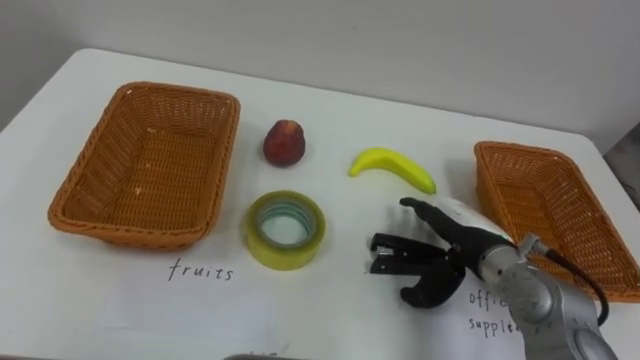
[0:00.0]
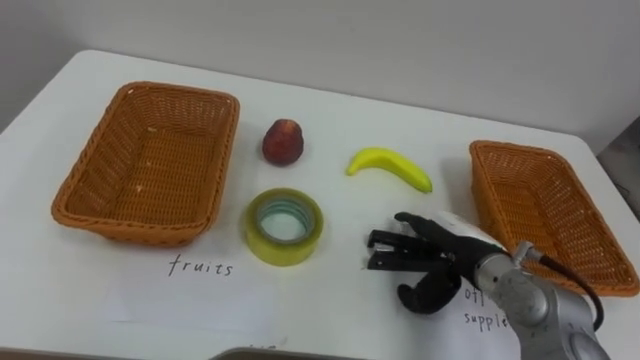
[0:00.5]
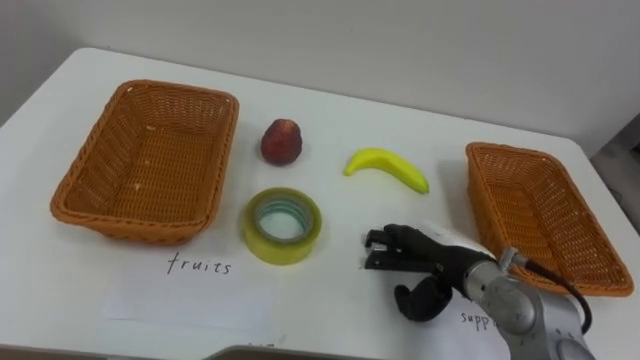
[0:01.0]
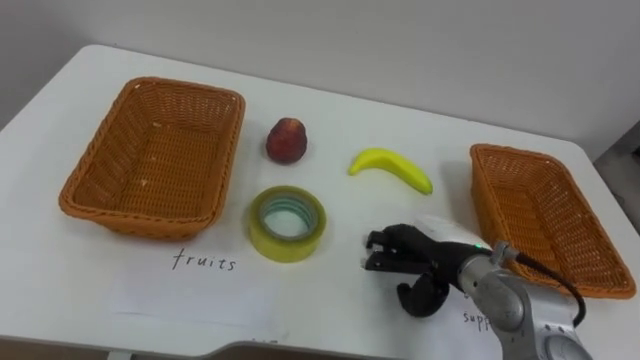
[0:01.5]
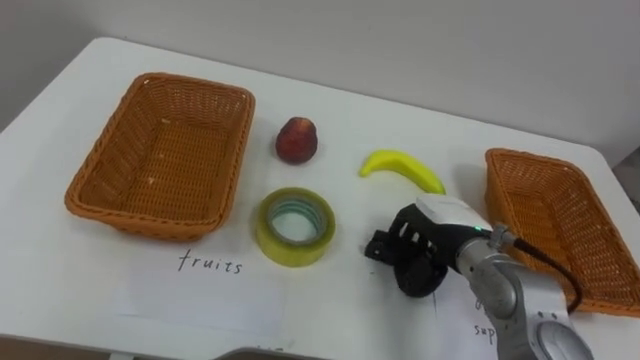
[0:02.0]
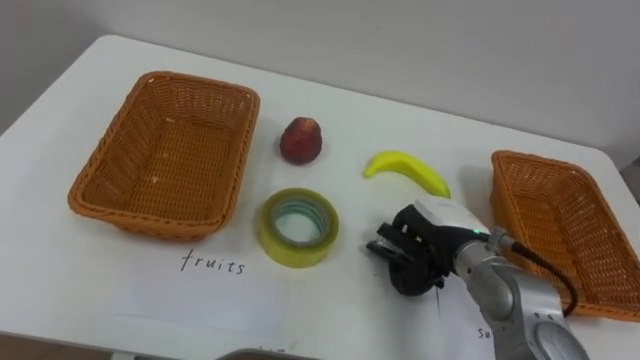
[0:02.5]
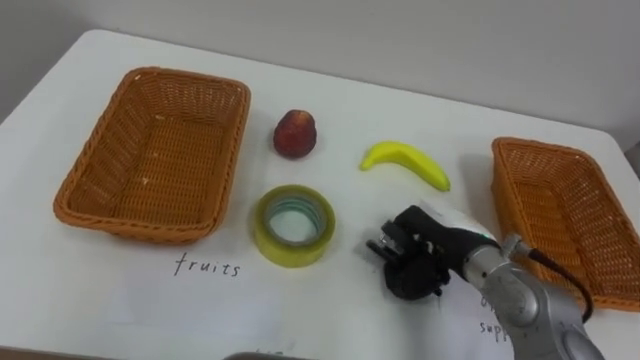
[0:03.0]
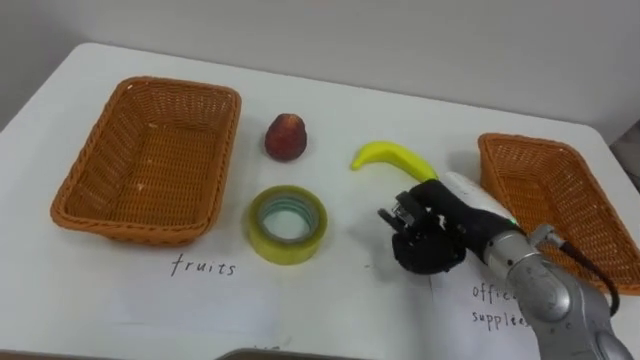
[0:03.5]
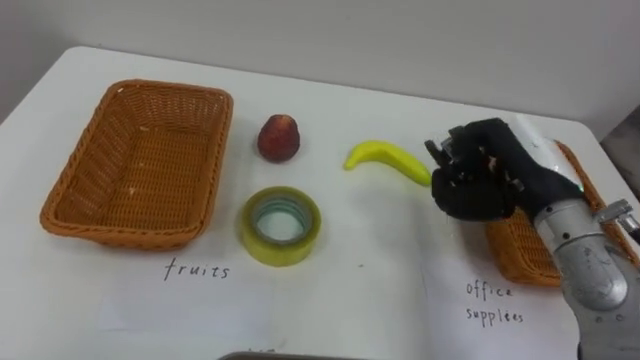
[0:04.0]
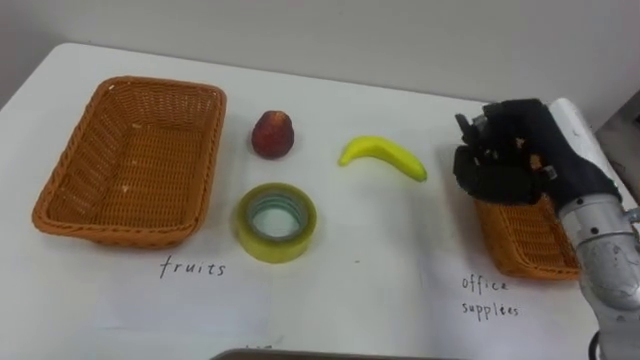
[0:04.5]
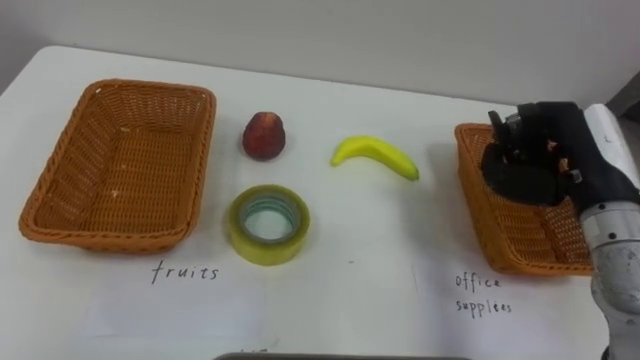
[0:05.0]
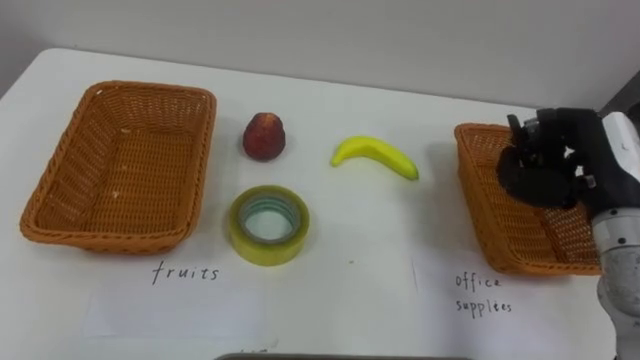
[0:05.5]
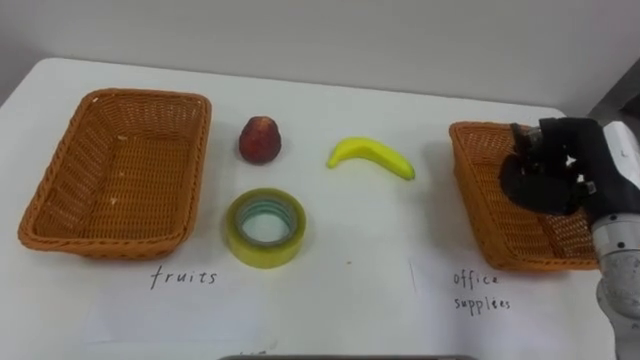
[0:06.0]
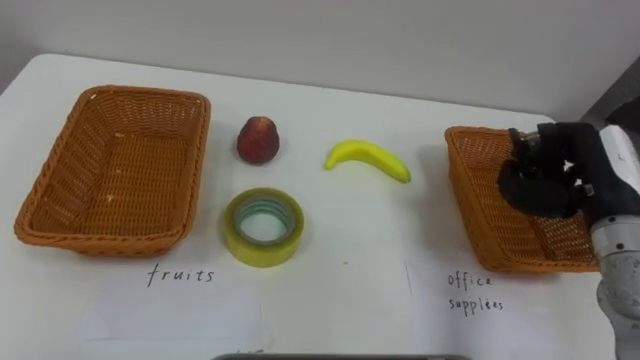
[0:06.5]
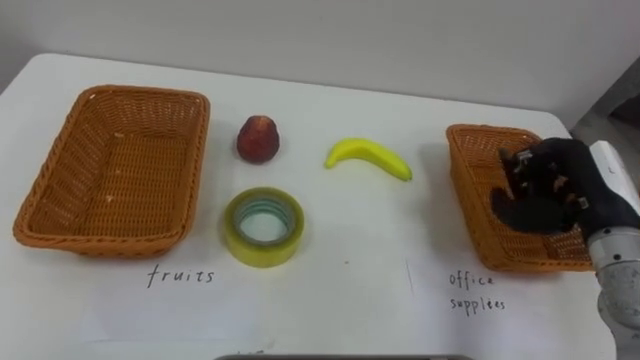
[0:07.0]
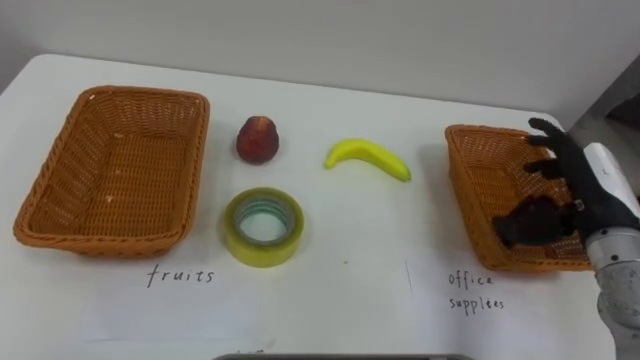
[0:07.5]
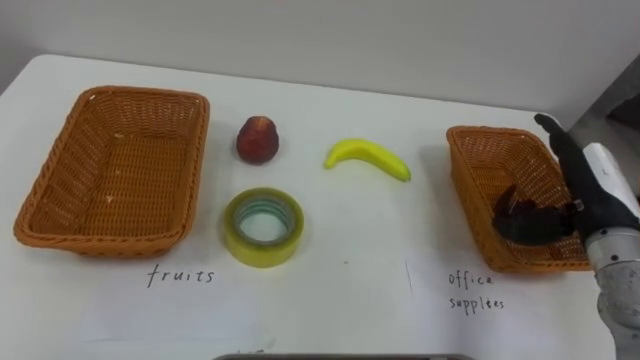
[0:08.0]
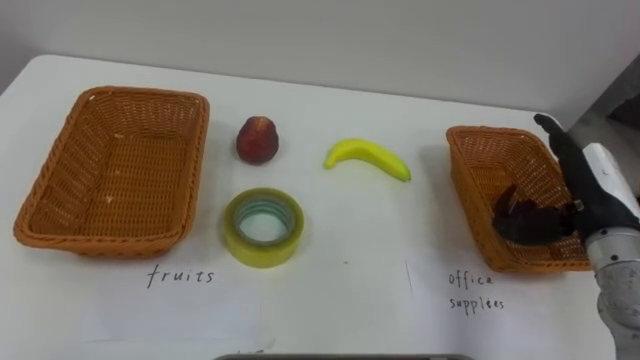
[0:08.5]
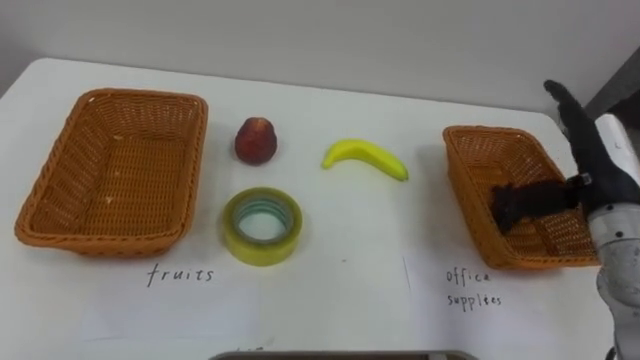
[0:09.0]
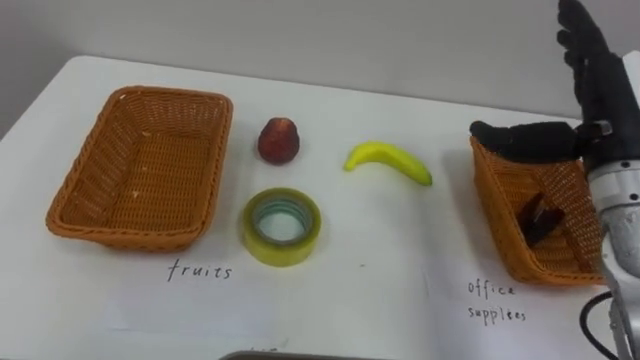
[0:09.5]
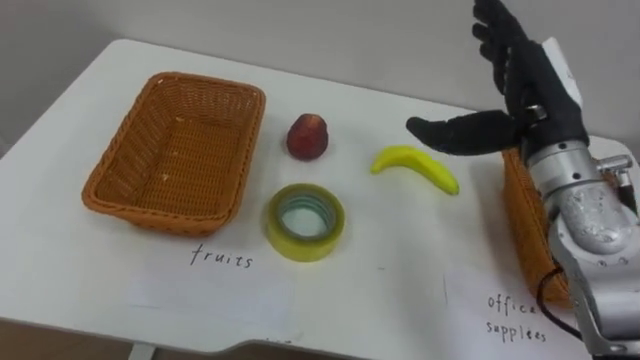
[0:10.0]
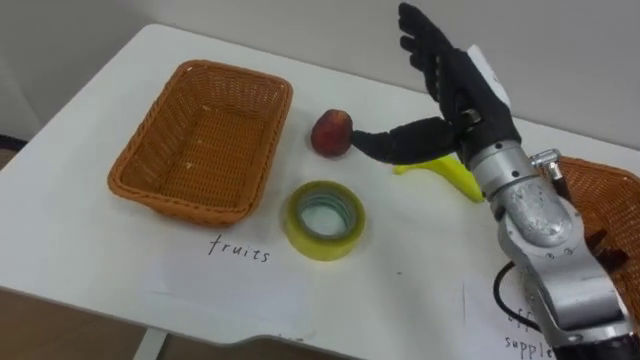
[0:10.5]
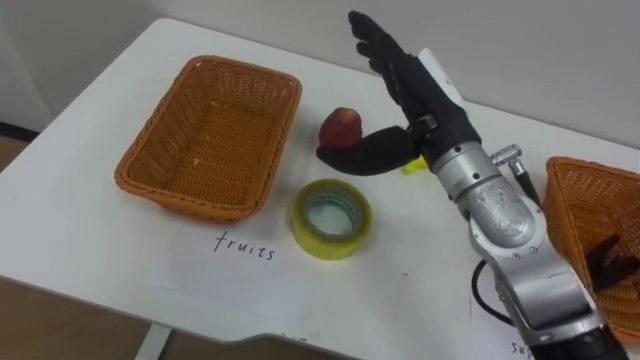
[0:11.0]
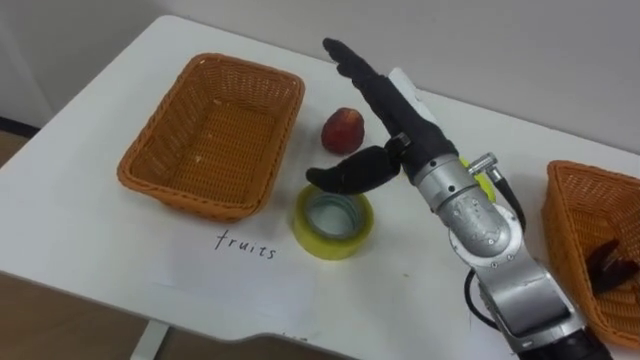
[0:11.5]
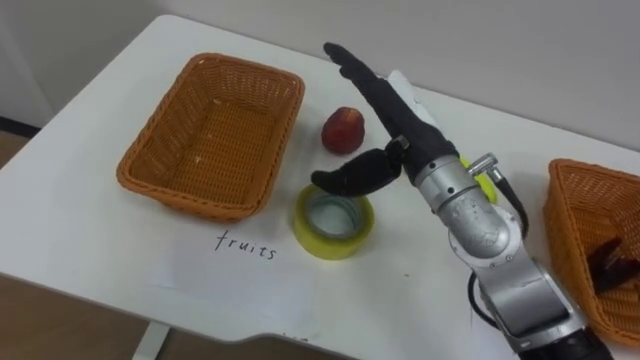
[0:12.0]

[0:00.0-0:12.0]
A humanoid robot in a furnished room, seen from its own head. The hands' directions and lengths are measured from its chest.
Task of the whole recording: Separate the items on the table and place them into the two baskets.
0:00.0 to 0:02.0: The right hand closes its fingers.
0:02.0 to 0:04.0: The right hand travels upward and to the right by some 10 cm.
0:04.0 to 0:06.0: The right hand moves to the right, approximately 10 cm.
0:06.0 to 0:08.0: The right hand opens its fingers.
0:08.0 to 0:10.0: The right hand shifts about 15 cm upward and to the left.
0:10.0 to 0:12.0: The right hand moves to the left, roughly 15 cm.

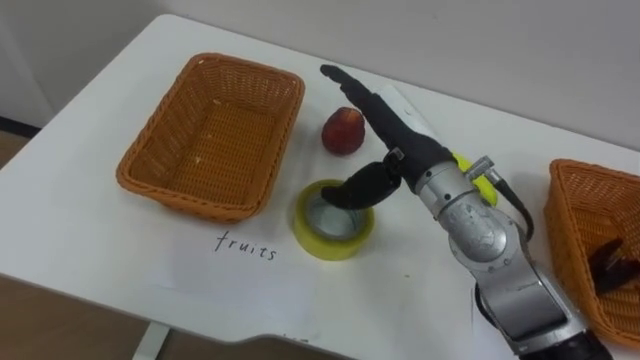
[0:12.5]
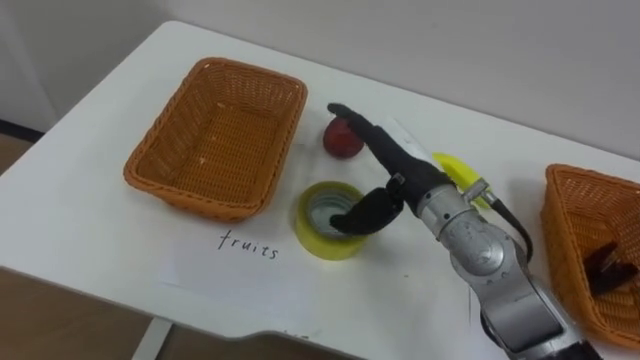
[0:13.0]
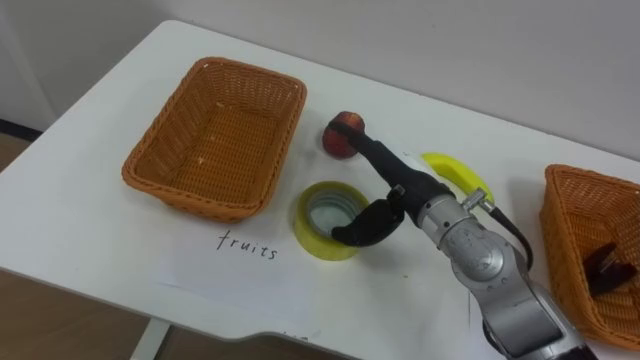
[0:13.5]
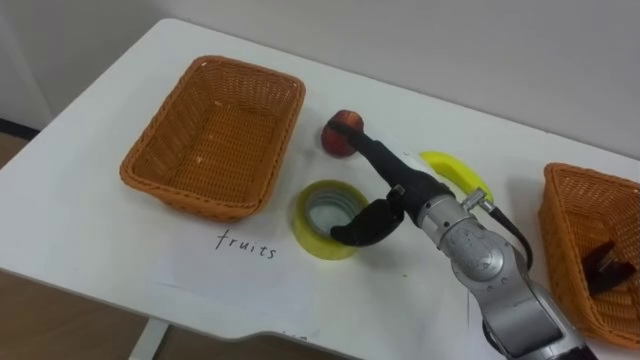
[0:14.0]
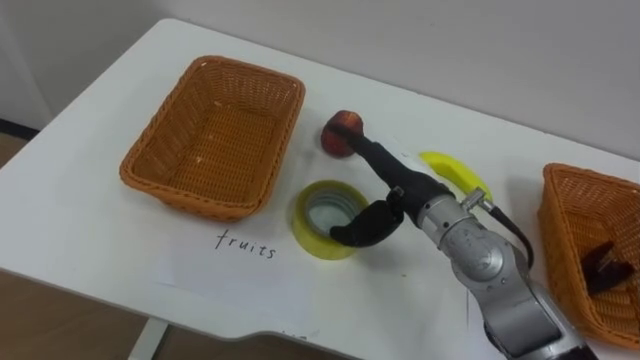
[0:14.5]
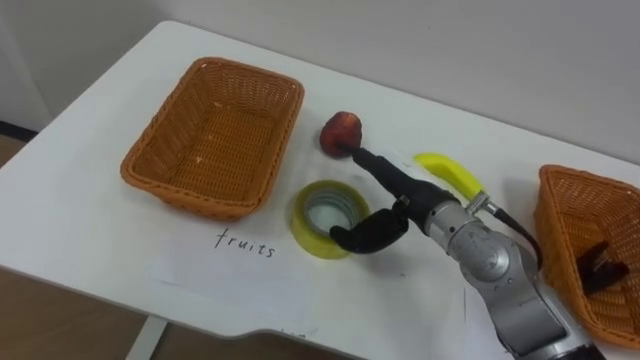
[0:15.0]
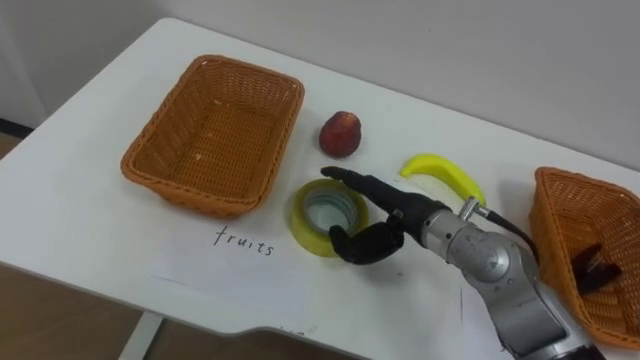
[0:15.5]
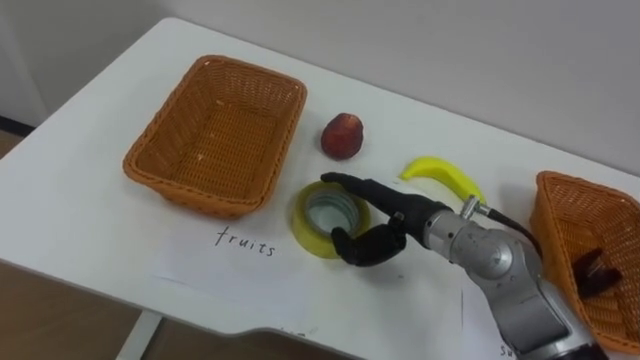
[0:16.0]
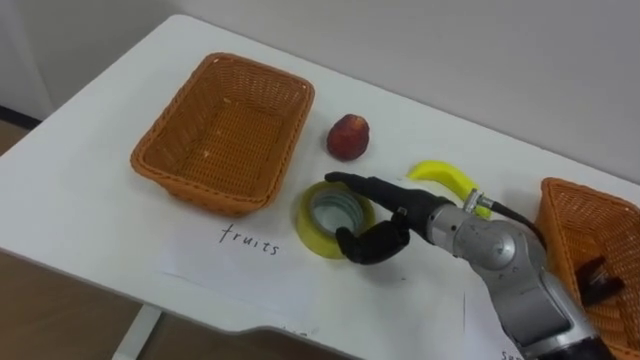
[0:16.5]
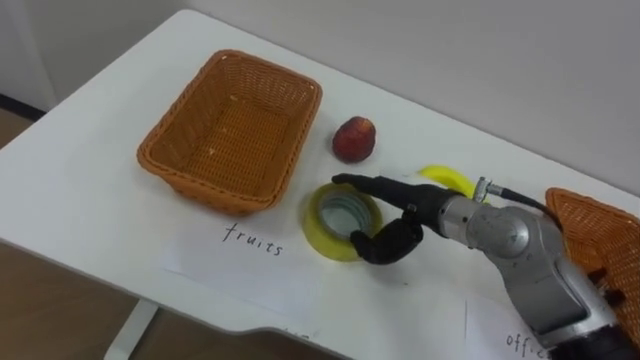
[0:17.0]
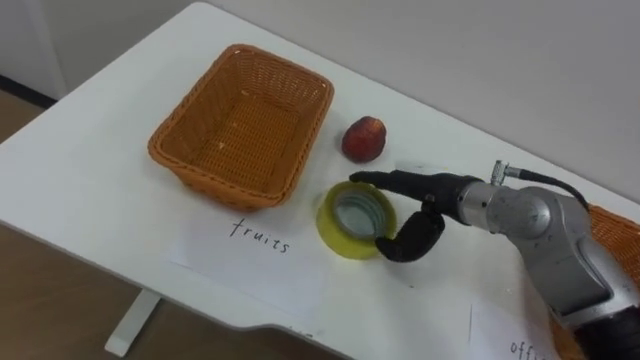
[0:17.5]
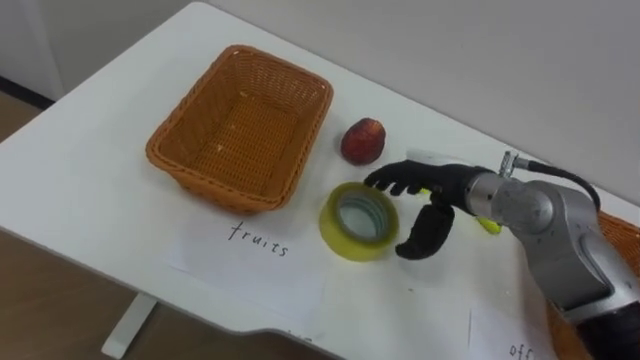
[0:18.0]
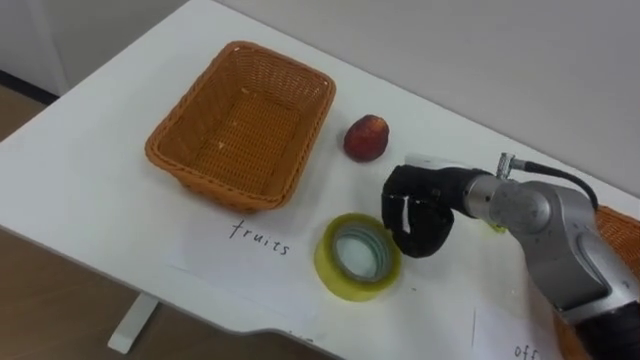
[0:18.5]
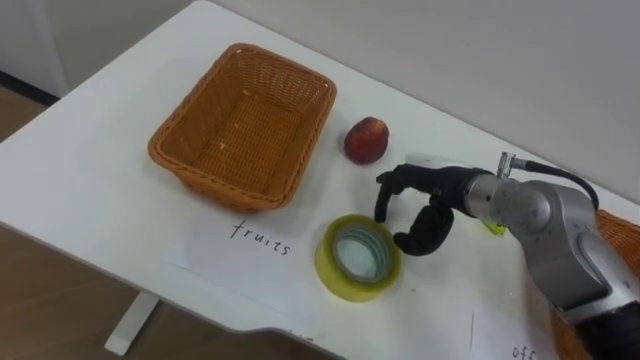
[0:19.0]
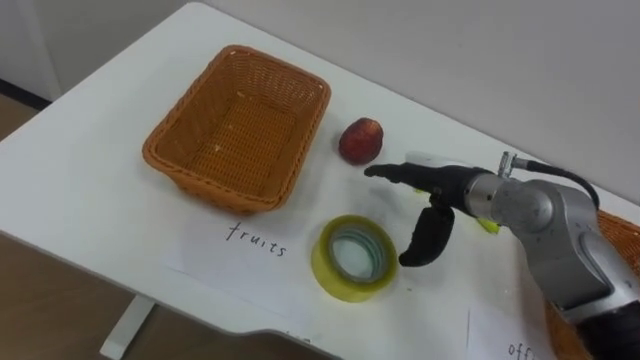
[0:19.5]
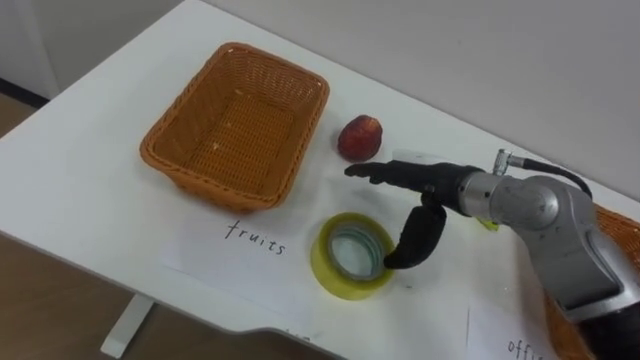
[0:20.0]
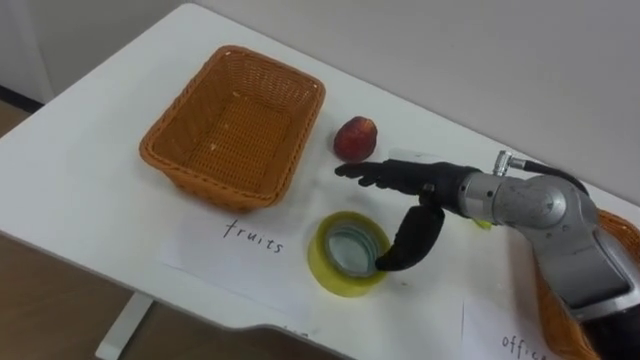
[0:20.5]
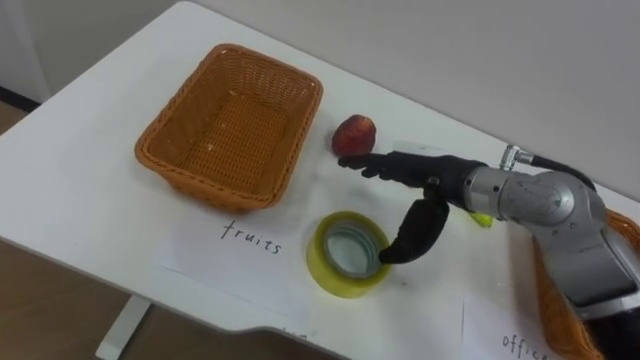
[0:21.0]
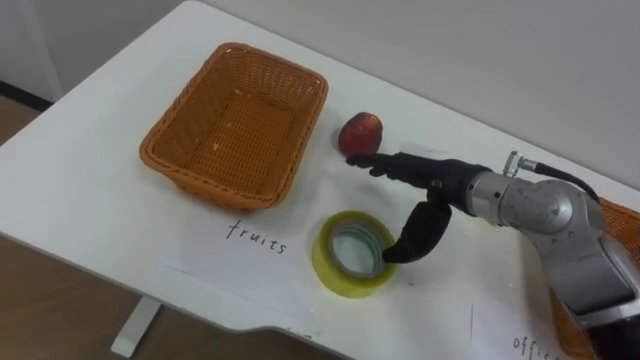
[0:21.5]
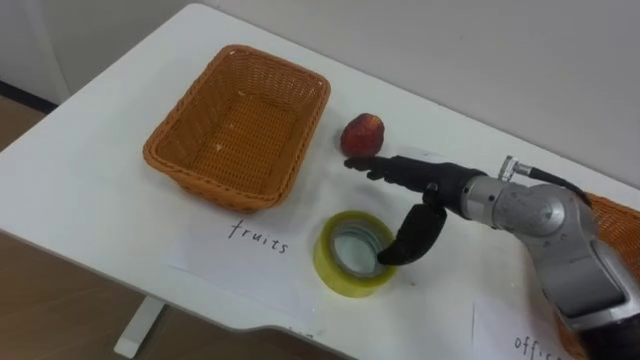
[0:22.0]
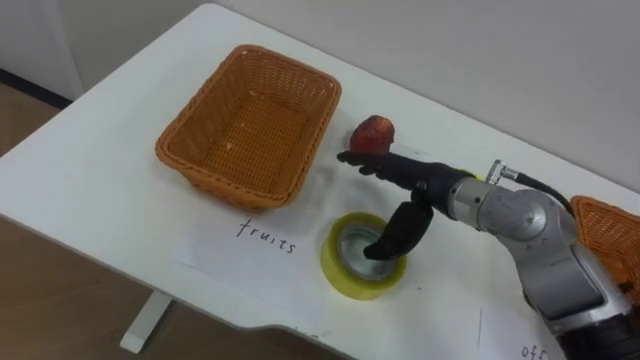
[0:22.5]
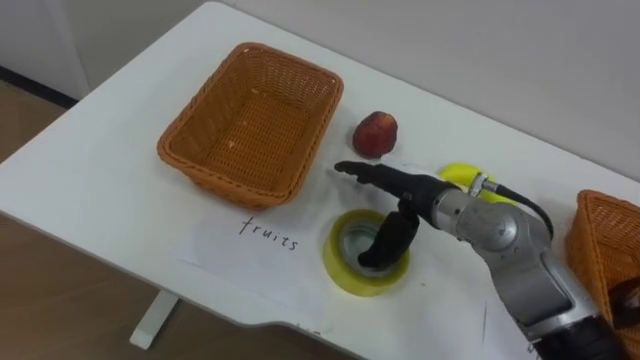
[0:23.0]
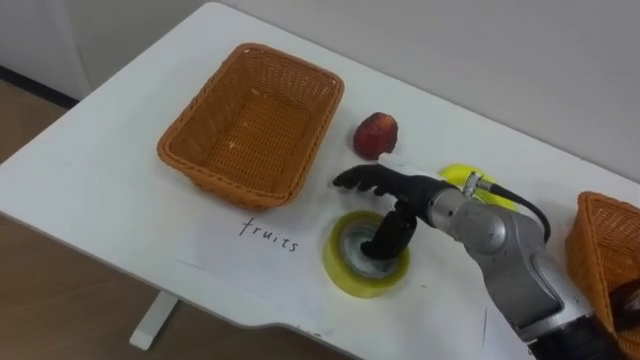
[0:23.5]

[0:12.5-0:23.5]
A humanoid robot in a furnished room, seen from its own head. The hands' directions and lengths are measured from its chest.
Task of the whole recording: Separate the items on the table and place them into the two baskets.
0:12.5 to 0:14.5: The right hand travels downward by about 5 cm.
0:16.0 to 0:18.0: The right hand moves some 5 cm.
0:18.0 to 0:20.0: The right hand closes and opens again.
